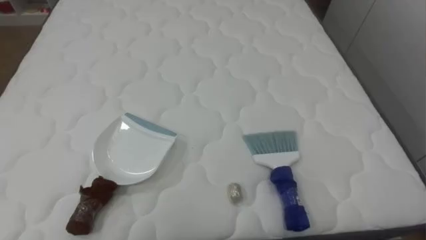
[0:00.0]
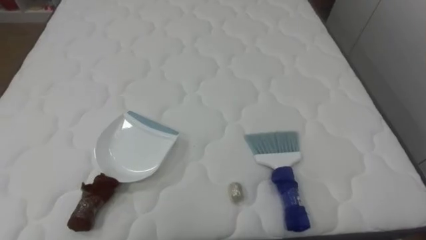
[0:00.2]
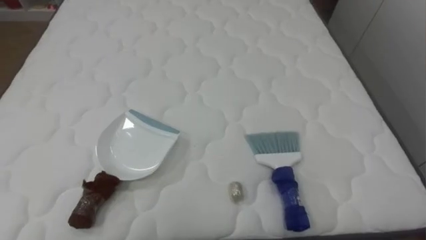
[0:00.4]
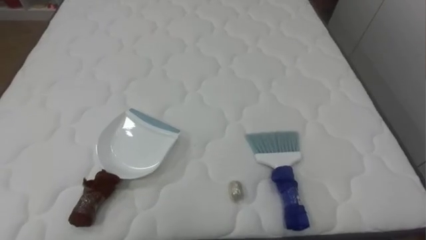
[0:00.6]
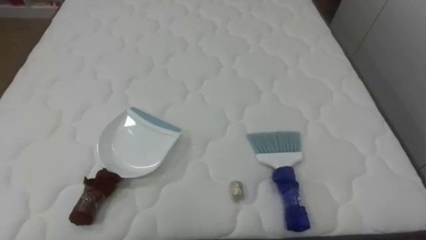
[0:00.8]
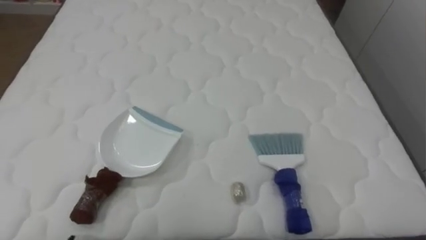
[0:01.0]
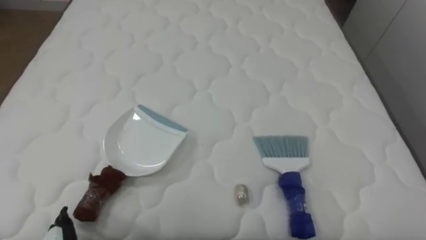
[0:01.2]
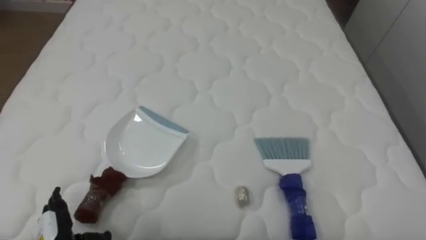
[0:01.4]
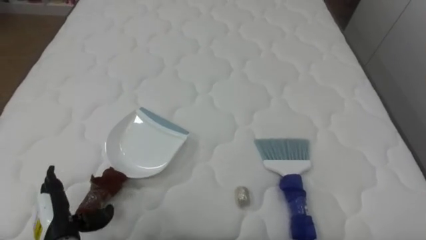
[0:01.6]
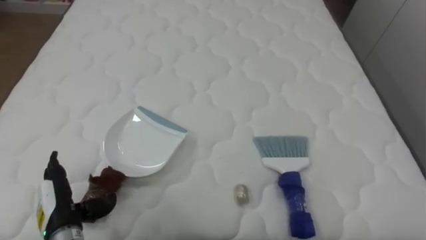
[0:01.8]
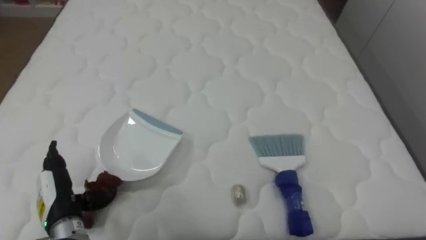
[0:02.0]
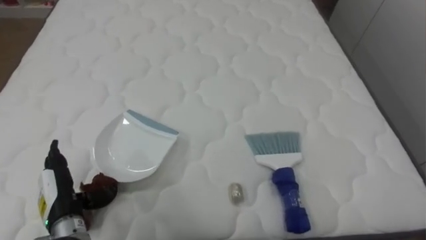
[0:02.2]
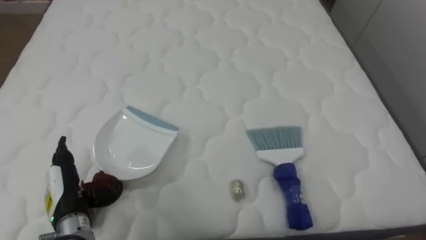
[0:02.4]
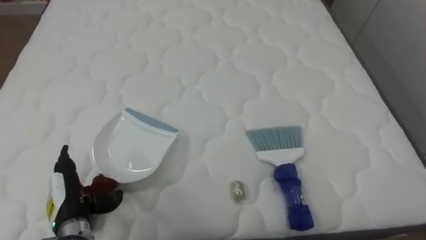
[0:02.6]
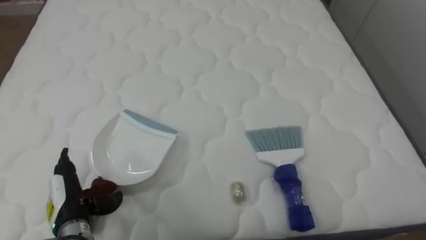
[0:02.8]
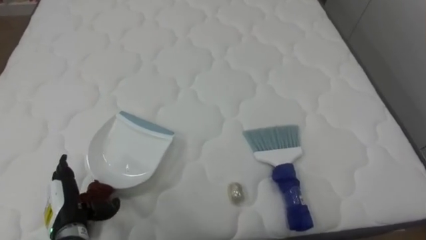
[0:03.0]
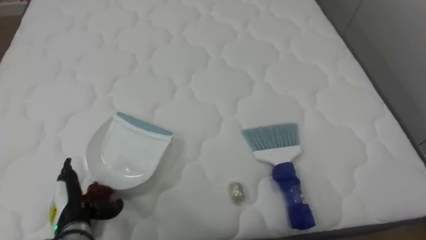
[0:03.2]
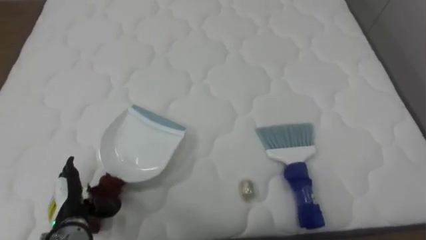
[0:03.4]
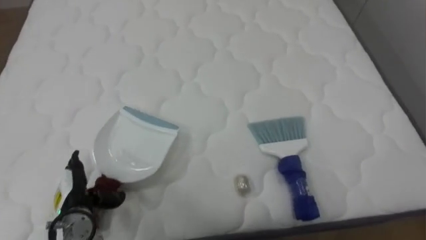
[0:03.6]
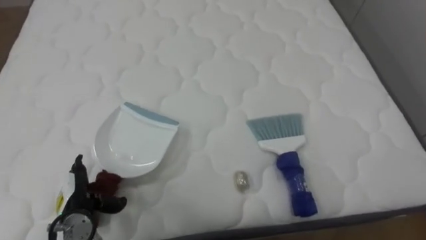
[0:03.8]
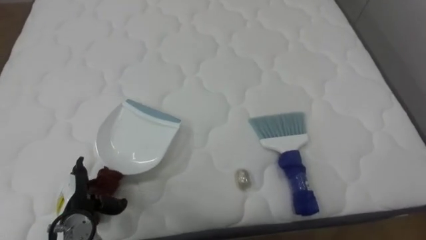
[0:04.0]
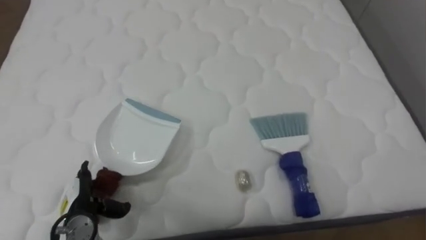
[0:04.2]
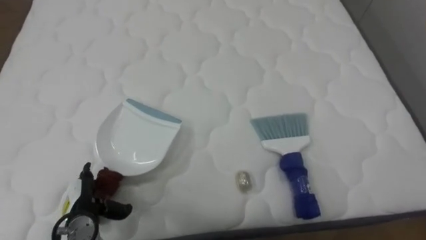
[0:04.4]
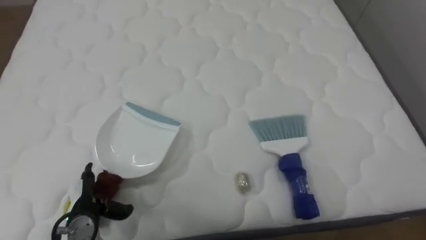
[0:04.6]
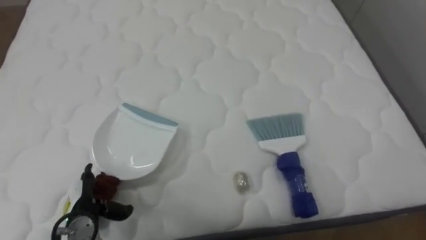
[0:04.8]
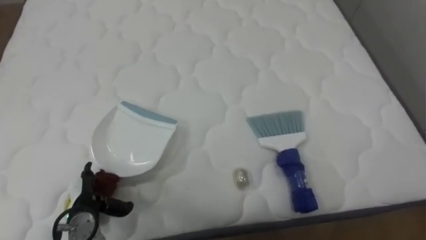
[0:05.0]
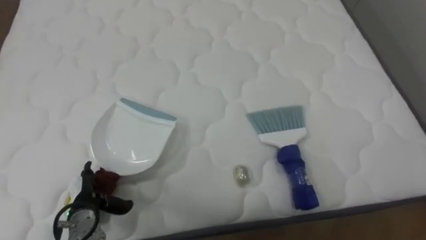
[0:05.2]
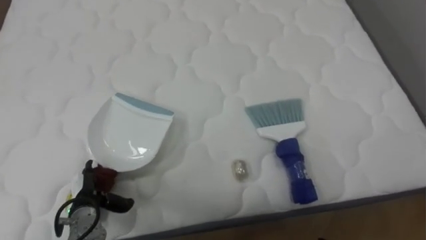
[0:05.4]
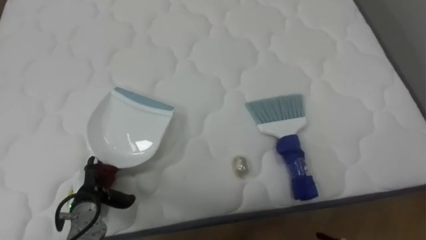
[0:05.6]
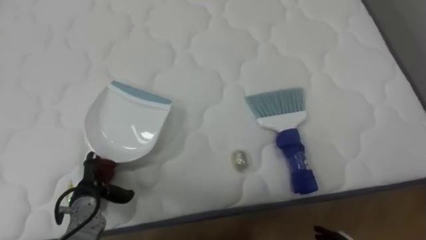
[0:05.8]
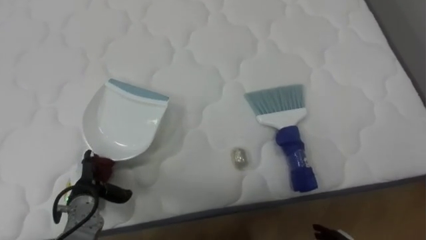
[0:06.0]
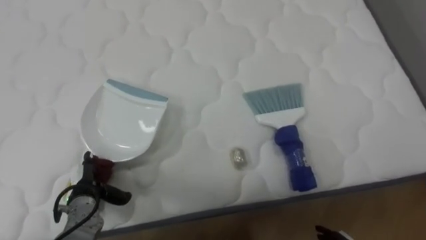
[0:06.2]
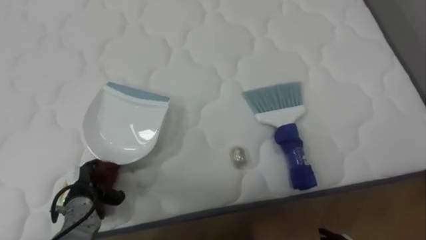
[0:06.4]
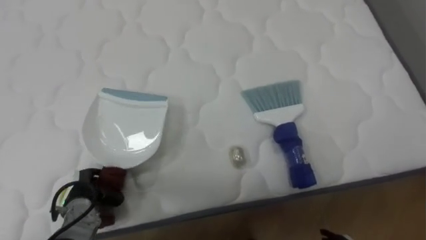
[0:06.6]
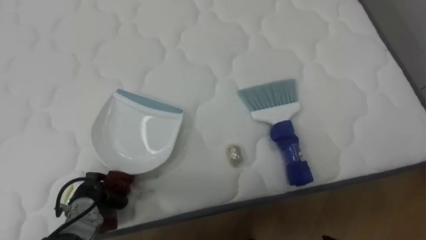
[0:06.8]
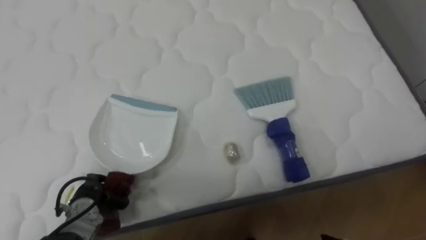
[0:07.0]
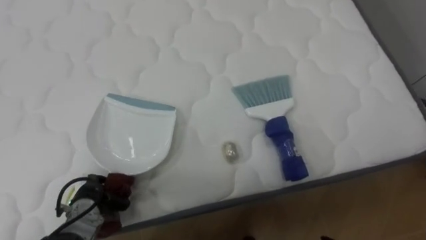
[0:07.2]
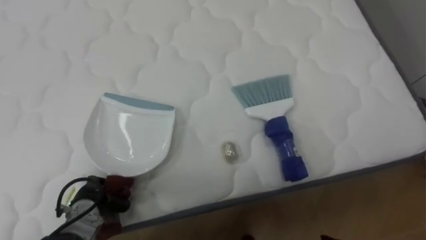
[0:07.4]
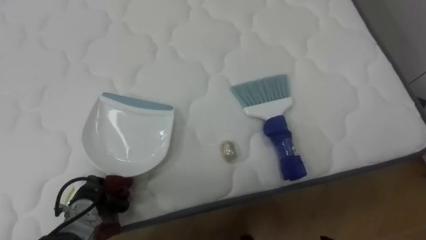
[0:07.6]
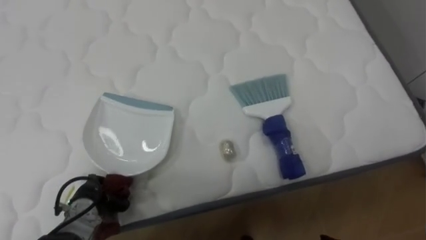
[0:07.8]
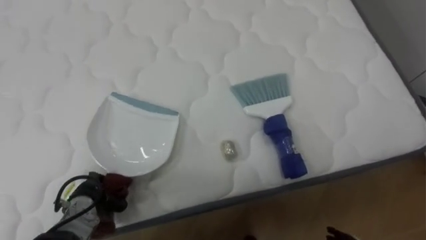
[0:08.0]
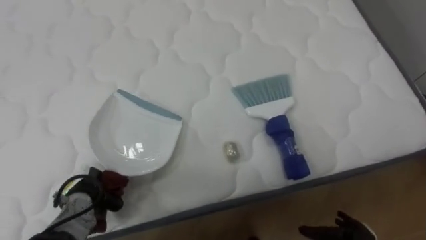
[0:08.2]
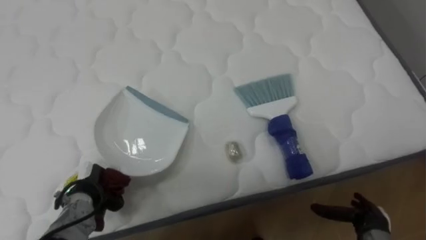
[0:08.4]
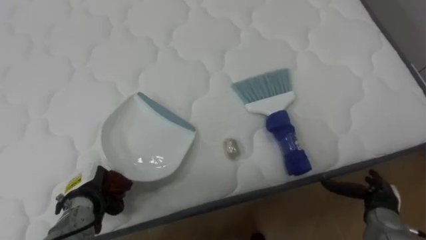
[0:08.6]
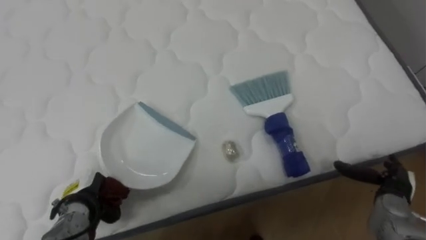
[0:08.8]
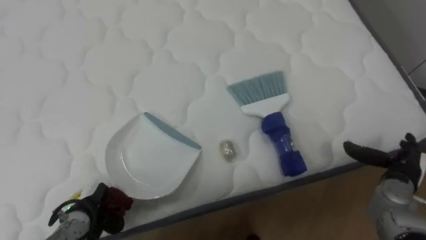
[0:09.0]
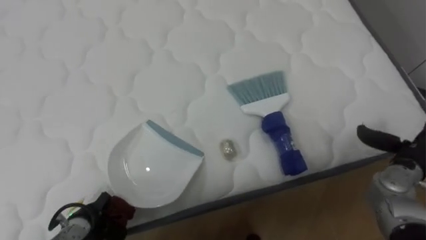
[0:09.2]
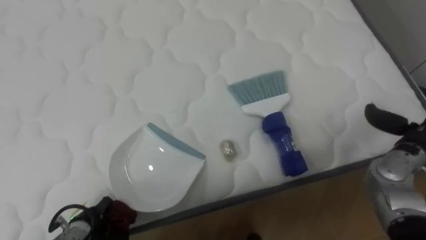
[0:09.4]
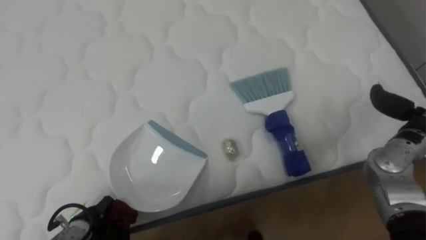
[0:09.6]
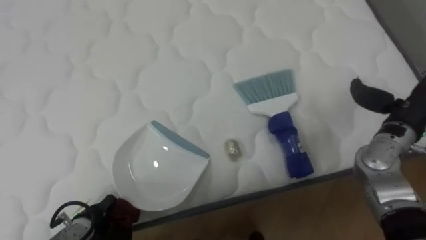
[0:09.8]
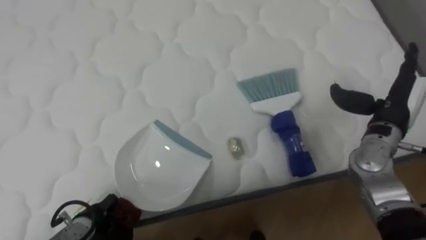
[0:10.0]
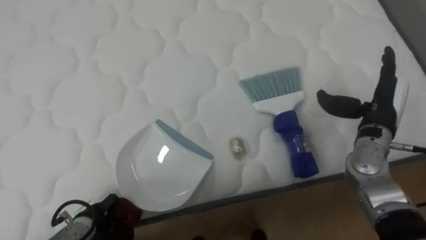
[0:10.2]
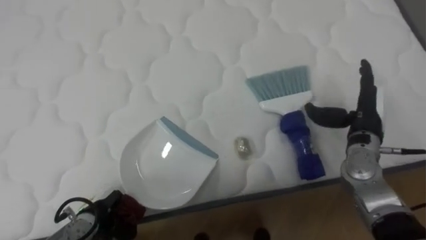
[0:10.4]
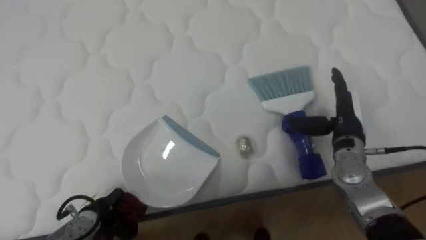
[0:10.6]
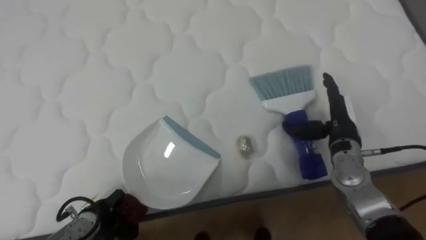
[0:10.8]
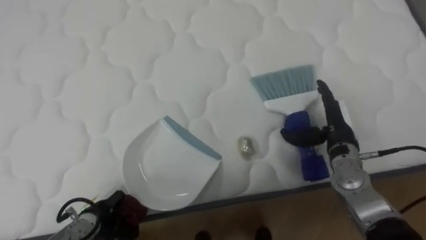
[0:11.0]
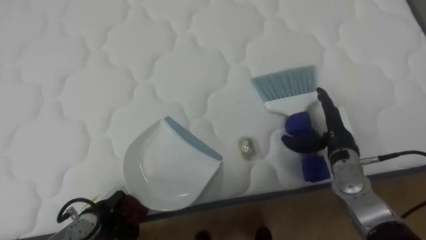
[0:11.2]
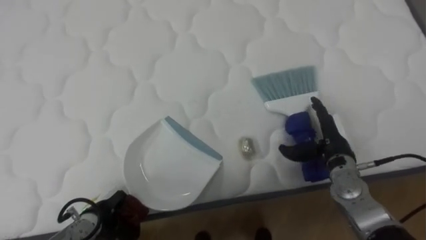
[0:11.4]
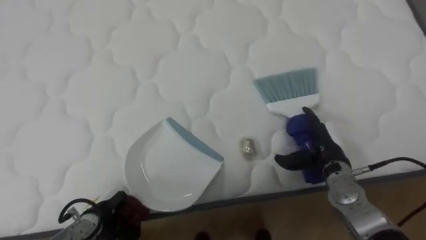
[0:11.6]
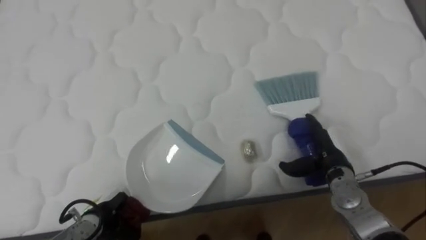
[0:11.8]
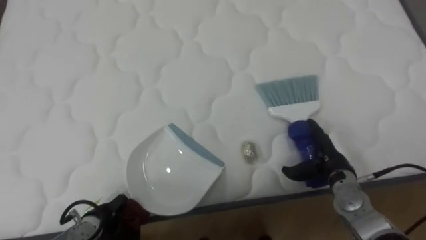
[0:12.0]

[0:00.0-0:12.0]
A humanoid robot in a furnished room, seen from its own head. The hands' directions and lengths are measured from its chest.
Task of the whole recording: Pick up the brush on your right and the dustpan on your left. Use the brush to sweep the crumpled paper on the bed into the dustpan, then turn left and empty it into the basket.
0:06.0 to 0:07.6: The left hand closes.
0:09.0 to 0:10.4: The right hand goes roughly 15 cm upward, to the left and forward.
0:10.4 to 0:12.0: The right hand moves downward, roughly 10 cm.

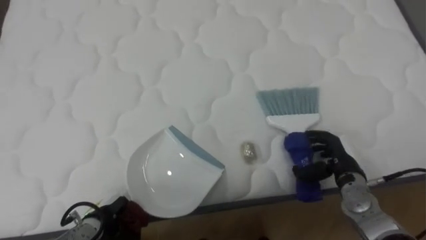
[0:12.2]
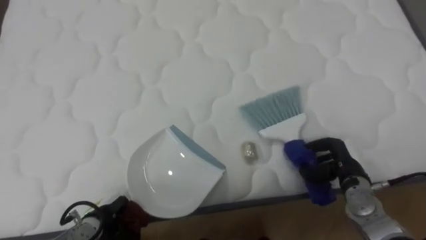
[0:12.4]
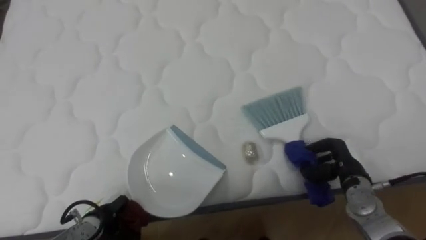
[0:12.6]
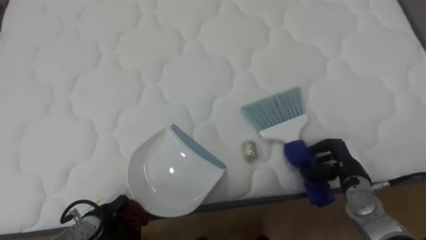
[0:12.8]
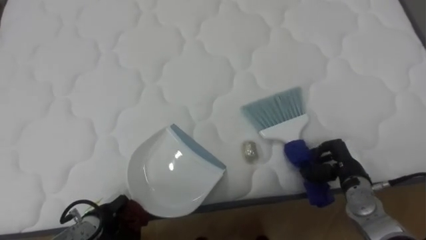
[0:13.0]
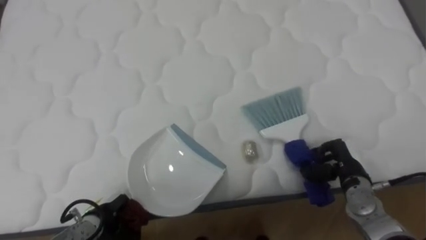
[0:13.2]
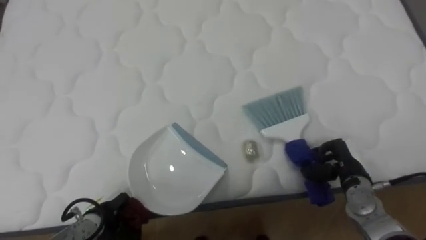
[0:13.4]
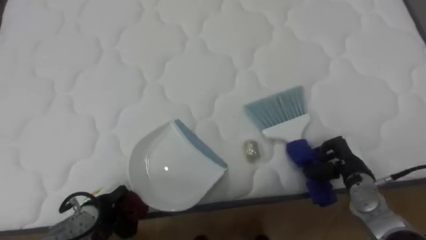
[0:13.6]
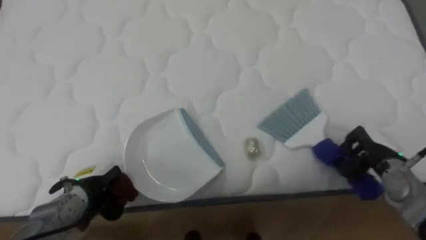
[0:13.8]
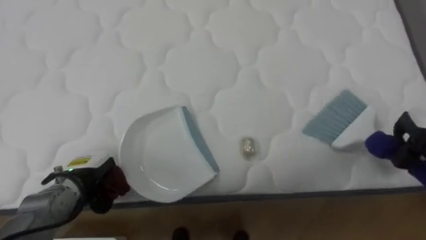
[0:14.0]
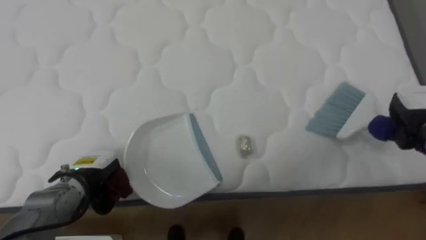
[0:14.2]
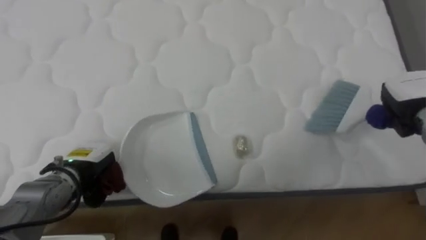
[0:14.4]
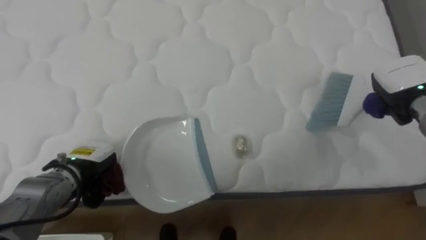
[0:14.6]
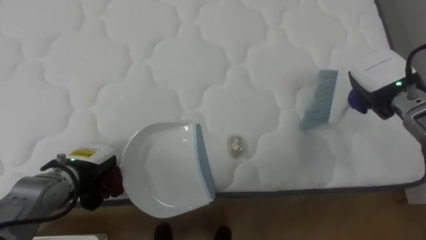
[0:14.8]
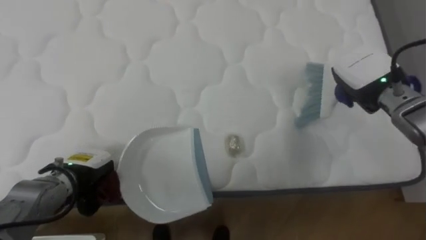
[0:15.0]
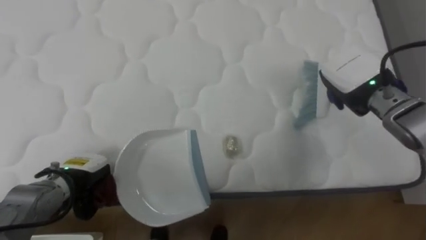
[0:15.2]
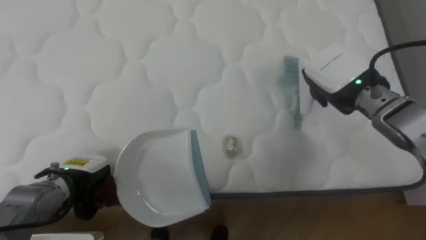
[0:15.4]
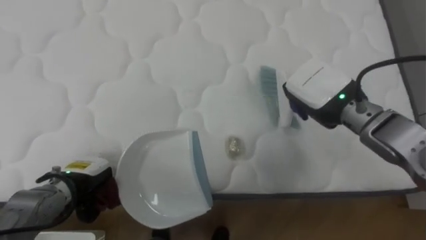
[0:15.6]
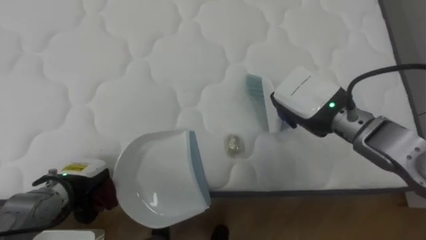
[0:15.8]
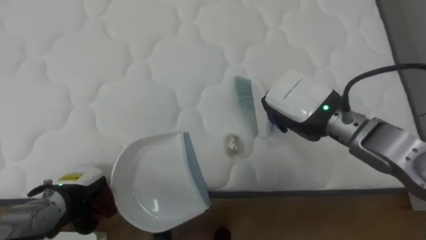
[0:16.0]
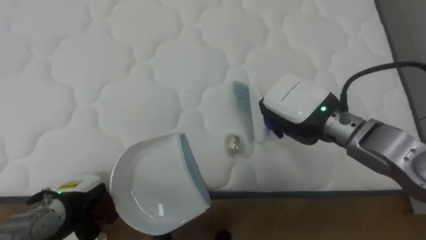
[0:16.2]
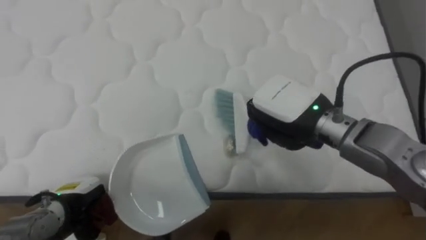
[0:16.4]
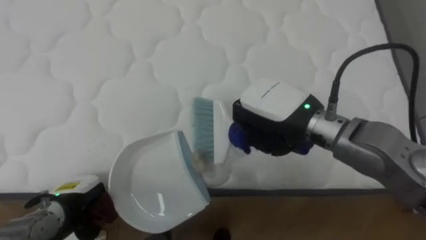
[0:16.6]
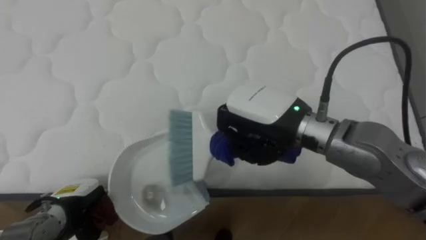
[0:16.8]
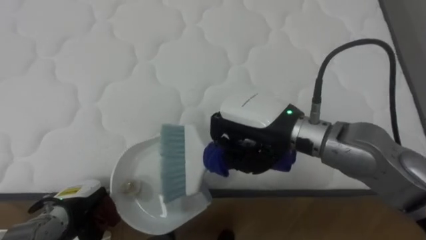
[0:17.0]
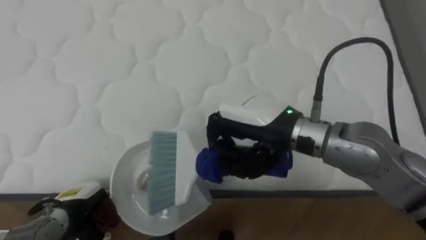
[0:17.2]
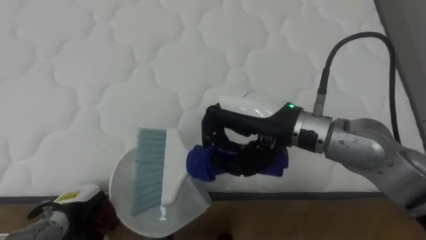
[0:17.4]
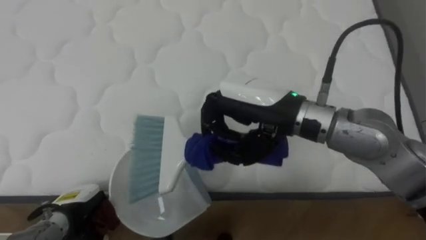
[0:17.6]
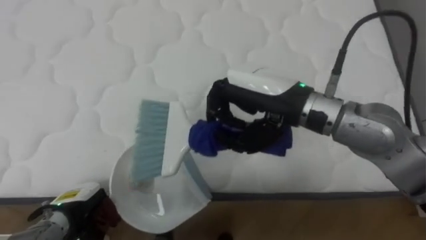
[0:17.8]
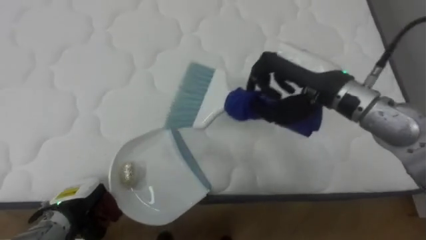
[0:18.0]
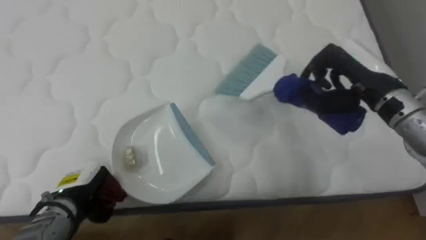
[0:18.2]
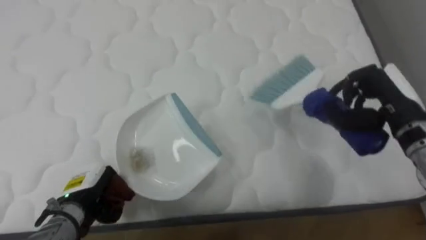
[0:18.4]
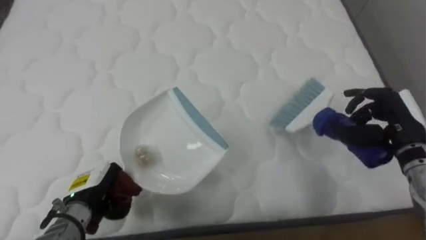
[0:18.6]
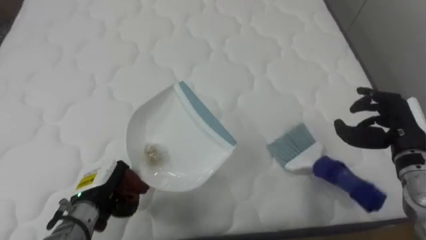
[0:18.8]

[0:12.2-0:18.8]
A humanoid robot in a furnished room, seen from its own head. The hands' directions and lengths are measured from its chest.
Task of the whole recording: Pick up the brush on your right and the dustpan on your left. Use the brush to sweep the crumpled paper on the bed into the dustpan, then turn left and empty it into the basket.
0:12.2 to 0:13.8: The right hand shifts approximately 5 cm to the right, and closes up. Meanwhile the left hand moves upward, roughly 5 cm.
0:13.8 to 0:15.4: The right hand shifts about 20 cm upward and to the left.
0:15.4 to 0:17.2: The left hand ends up about 5 cm from where it was, while the right hand goes approximately 20 cm to the left and backward.
0:17.2 to 0:18.8: The left hand ends up roughly 5 cm from where it was. Meanwhile the right hand shifts some 25 cm to the right, and opens its fingers.
